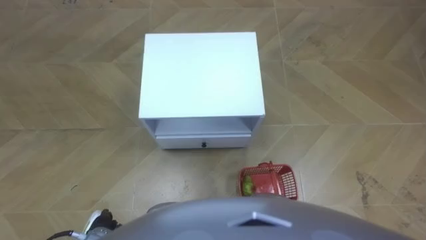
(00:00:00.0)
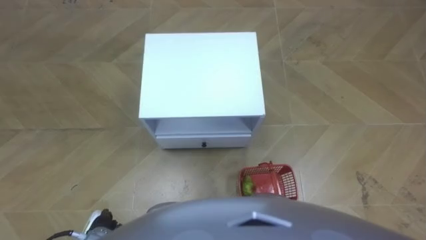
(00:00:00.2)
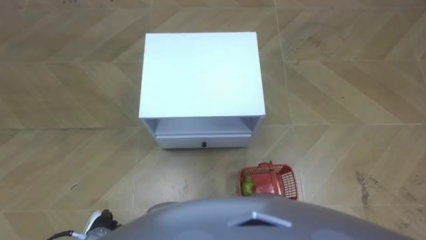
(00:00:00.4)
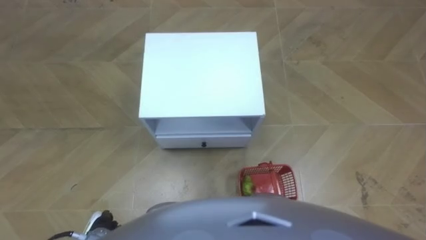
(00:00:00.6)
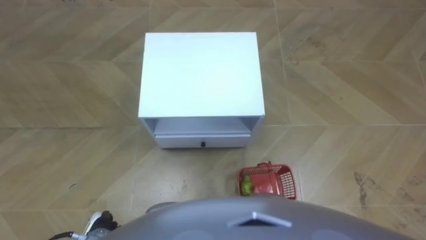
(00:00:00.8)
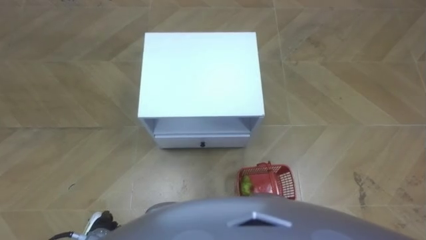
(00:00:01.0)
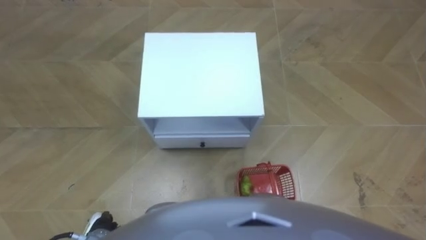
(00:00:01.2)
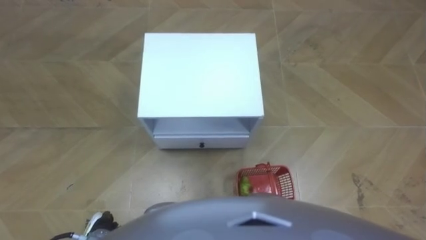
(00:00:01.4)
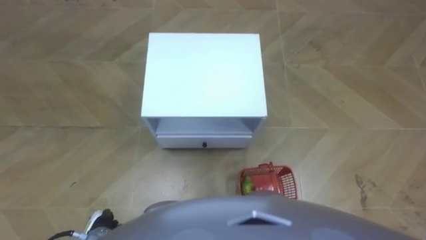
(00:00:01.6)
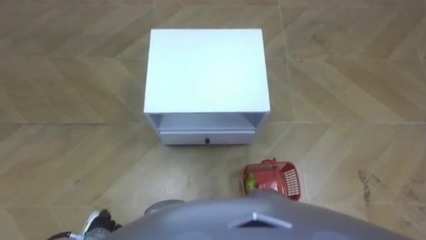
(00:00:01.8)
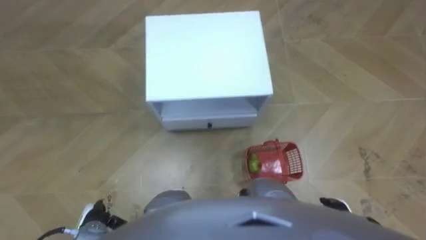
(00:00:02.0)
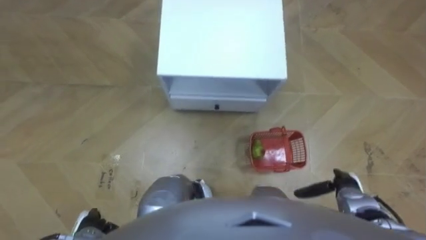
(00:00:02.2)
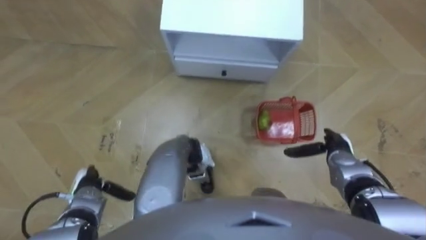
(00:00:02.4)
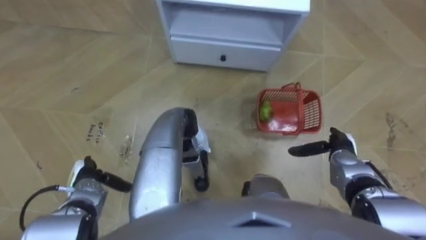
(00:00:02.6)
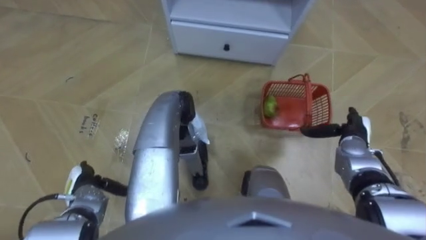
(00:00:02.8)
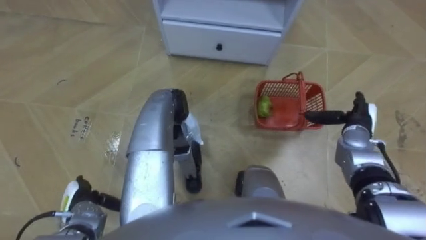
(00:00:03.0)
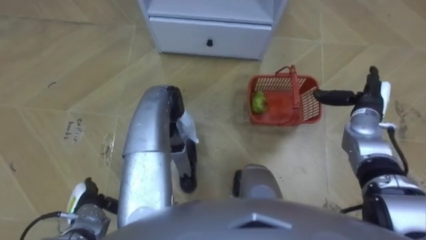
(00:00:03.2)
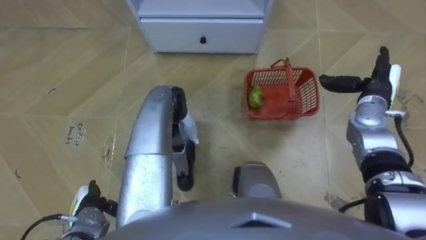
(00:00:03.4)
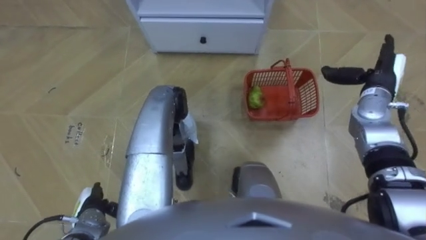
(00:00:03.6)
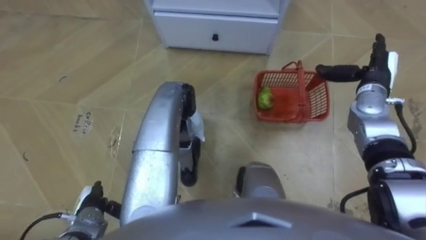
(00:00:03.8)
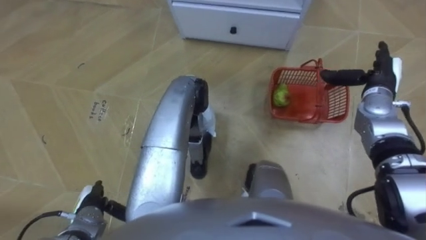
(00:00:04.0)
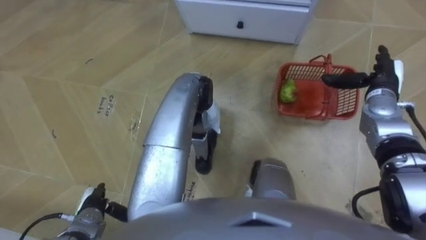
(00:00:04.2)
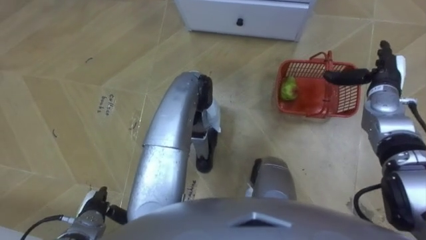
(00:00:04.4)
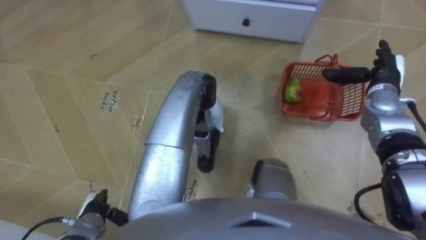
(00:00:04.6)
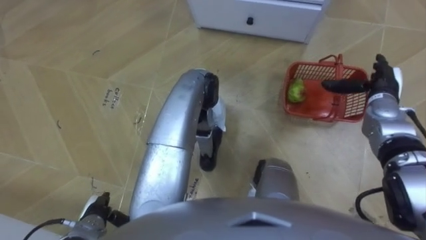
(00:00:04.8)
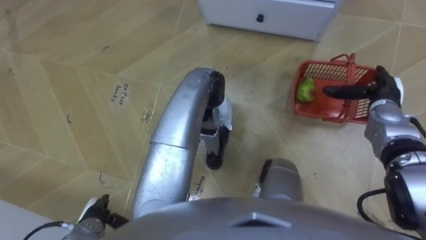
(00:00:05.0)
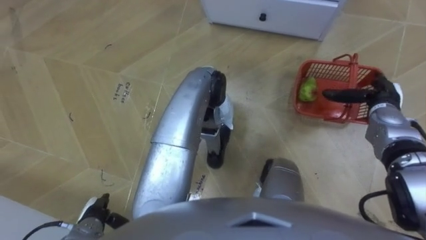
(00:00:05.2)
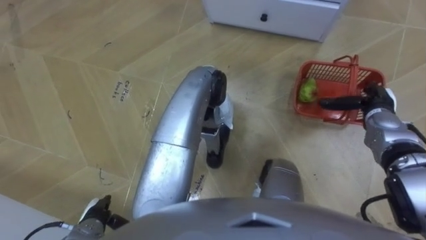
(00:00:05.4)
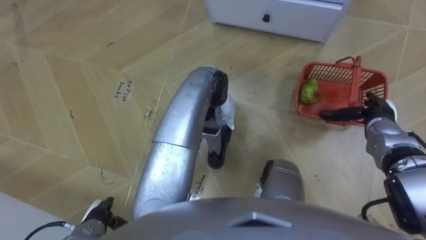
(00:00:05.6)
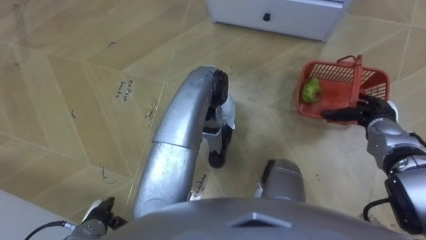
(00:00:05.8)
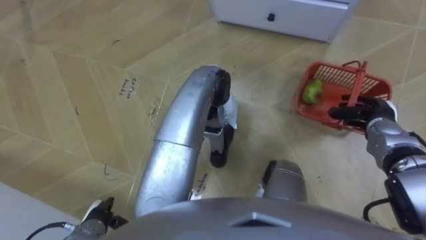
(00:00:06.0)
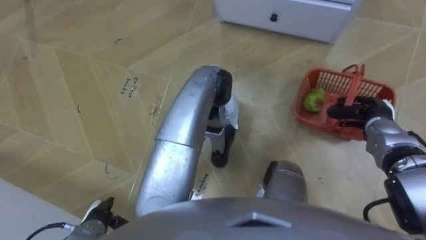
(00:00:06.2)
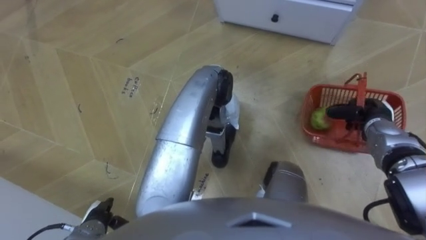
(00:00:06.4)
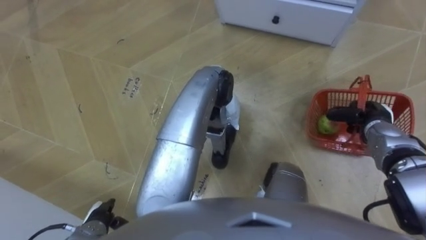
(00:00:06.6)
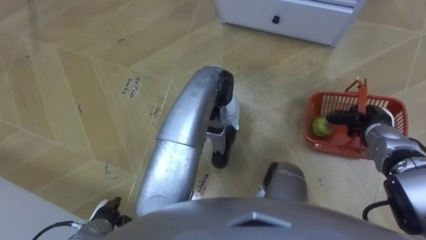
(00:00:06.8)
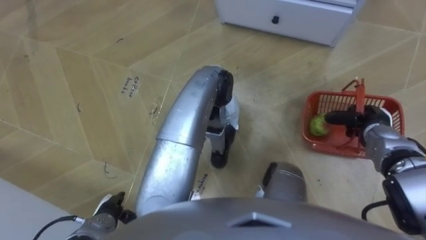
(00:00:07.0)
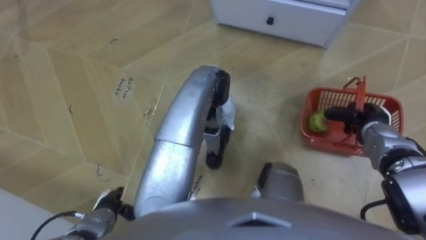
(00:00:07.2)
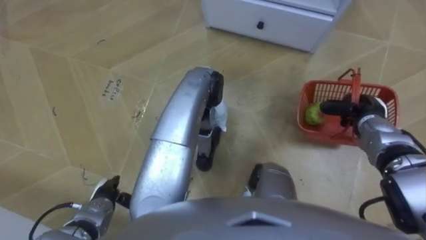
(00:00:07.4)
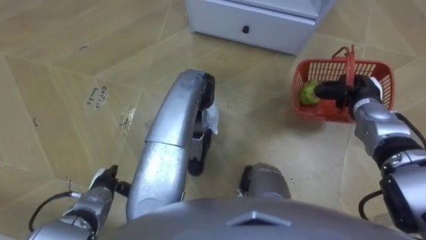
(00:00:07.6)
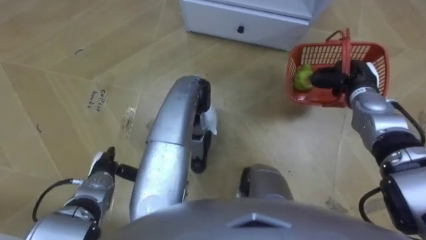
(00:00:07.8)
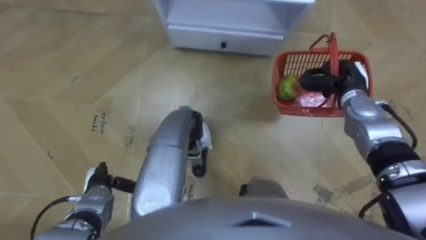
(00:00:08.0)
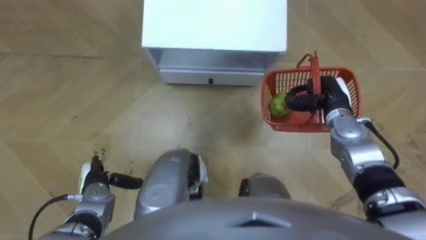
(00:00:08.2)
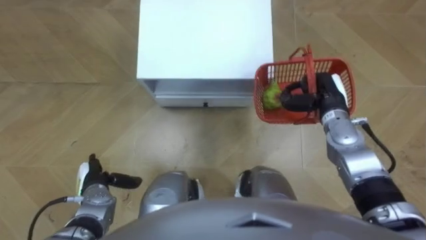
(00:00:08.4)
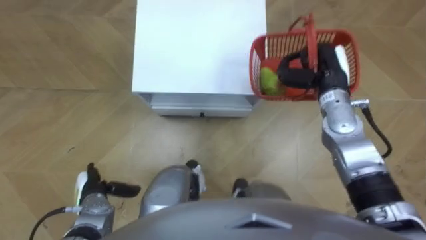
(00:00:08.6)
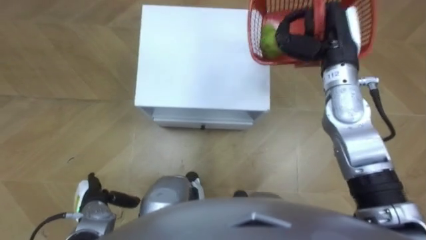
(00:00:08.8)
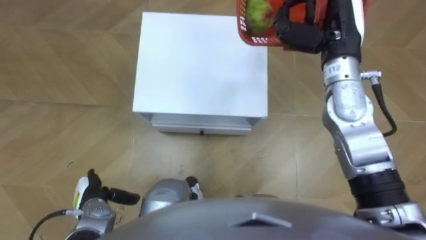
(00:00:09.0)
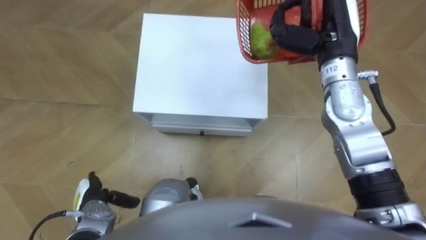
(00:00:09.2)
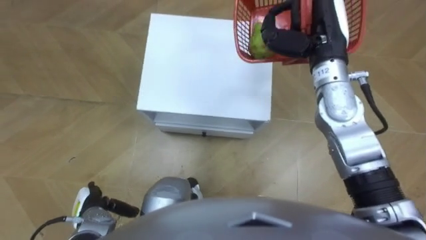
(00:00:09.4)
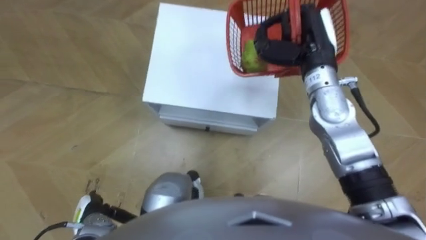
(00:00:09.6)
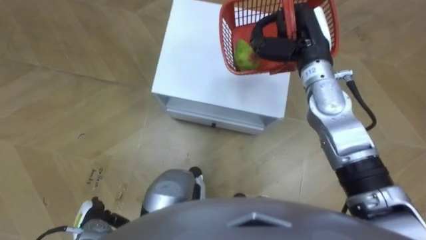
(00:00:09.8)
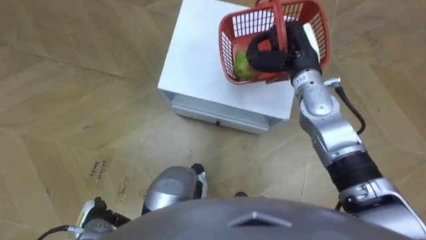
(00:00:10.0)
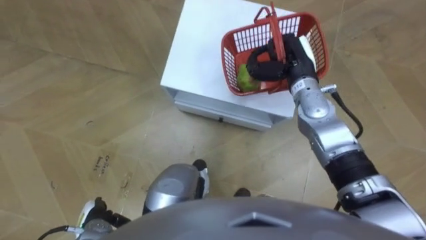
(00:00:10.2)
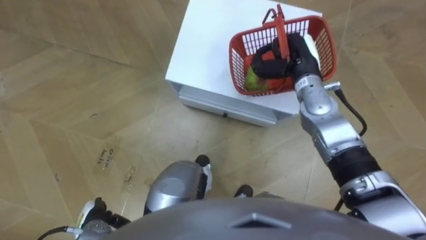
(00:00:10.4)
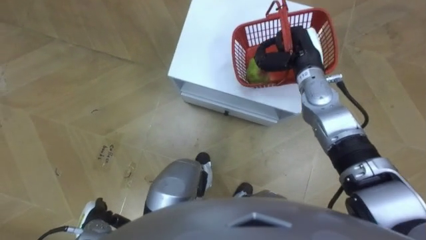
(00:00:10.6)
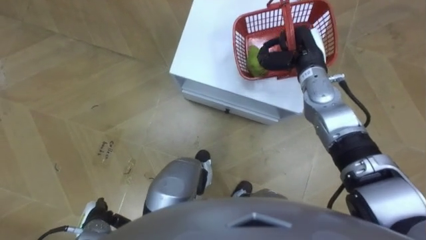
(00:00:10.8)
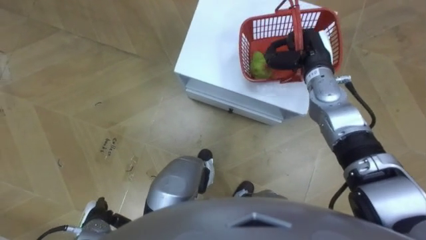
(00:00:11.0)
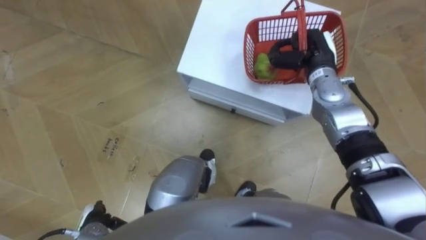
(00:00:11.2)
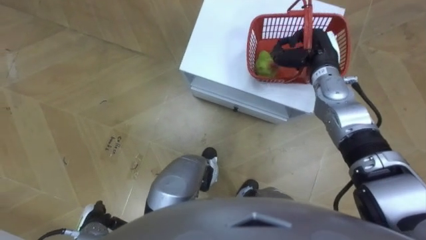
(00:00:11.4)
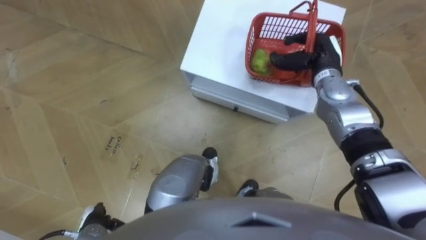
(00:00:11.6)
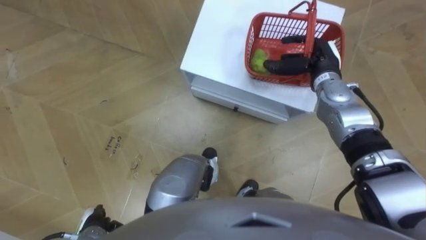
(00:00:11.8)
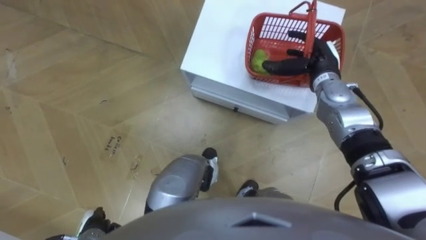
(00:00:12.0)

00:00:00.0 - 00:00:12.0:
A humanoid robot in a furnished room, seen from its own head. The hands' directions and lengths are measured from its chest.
Task of the whole recording: Pick up the fruit basket from the floor and place it on the cabinet.
00:00:01.6 - 00:00:03.0: The left hand goes approximately 5 cm forward. Meanwhile the right hand moves forward, approximately 20 cm.
00:00:03.0 - 00:00:04.4: The right hand shifts roughly 10 cm forward and upward.
00:00:04.4 - 00:00:06.0: The right hand is displaced backward and downward by some 10 cm, and closes up.
00:00:06.0 - 00:00:07.6: The left hand is displaced forward by about 10 cm, while the right hand moves about 5 cm, and closes up.
00:00:07.6 - 00:00:09.0: The right hand shifts approximately 20 cm upward and to the left.
00:00:09.0 - 00:00:10.4: The left hand is displaced backward by about 5 cm. Meanwhile the right hand heads downward, covering some 10 cm.
00:00:10.4 - 00:00:12.0: The right hand ends up about 5 cm from where it was, and opens.

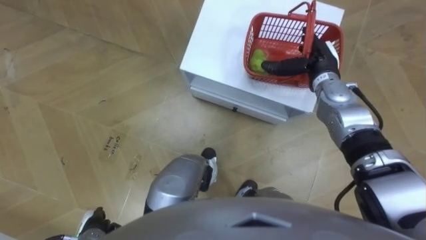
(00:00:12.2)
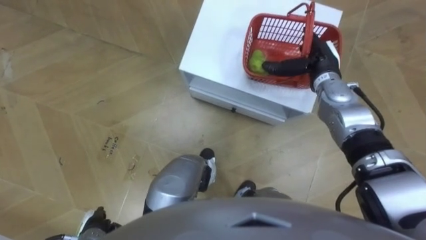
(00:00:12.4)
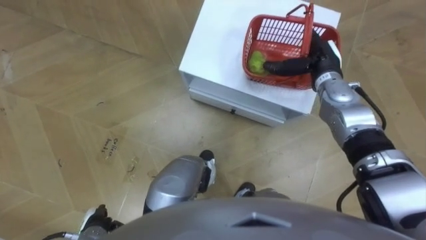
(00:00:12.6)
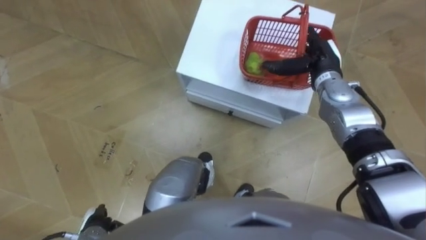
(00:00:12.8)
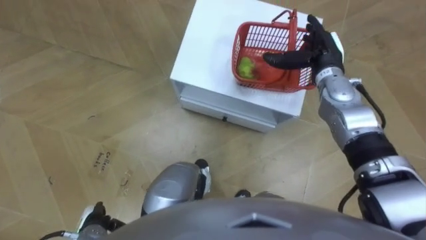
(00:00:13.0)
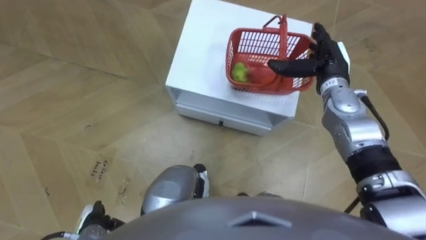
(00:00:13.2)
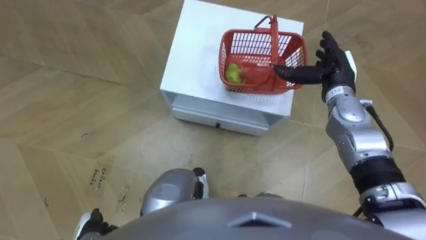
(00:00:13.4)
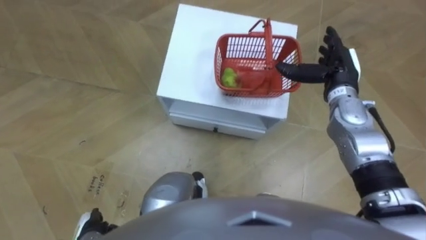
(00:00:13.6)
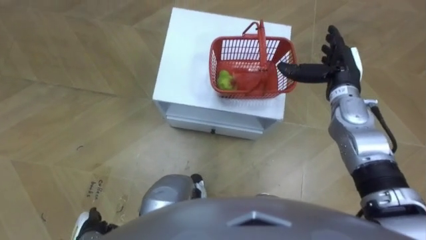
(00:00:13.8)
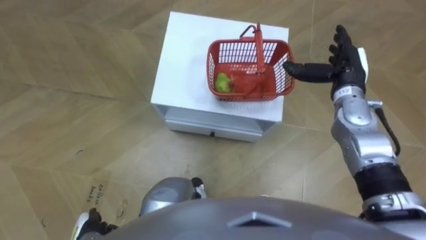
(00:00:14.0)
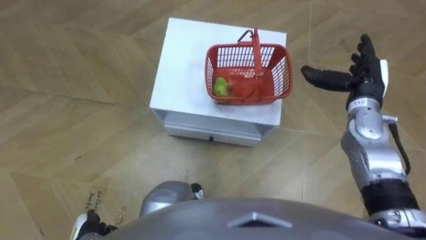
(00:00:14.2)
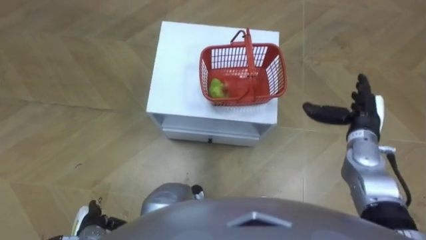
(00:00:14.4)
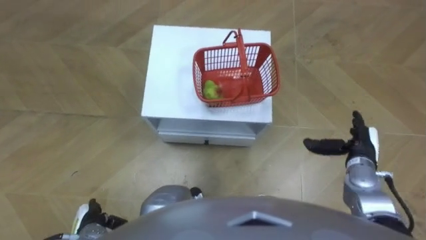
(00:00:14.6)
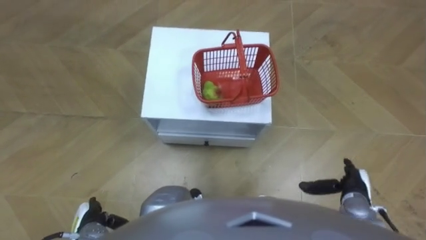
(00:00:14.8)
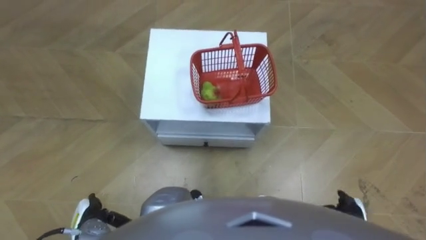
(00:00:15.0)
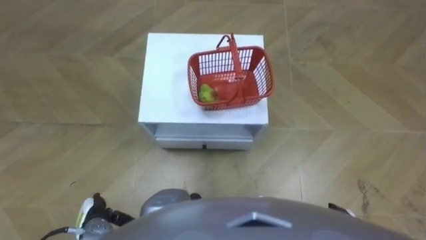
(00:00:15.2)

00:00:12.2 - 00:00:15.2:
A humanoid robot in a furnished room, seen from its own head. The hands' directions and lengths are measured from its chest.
Task of the whole recording: Pick up the fruit basket from the floor and place it on the cabinet.
00:00:12.2 - 00:00:13.8: The right hand ends up roughly 5 cm from where it was.
00:00:13.8 - 00:00:15.2: The right hand travels backward and downward by roughly 35 cm.
